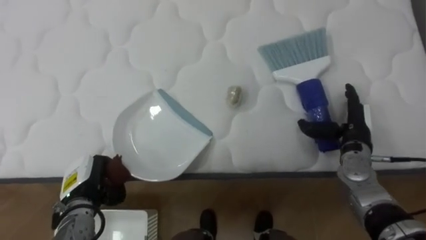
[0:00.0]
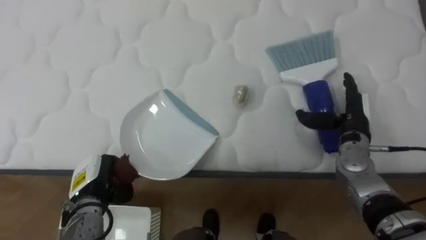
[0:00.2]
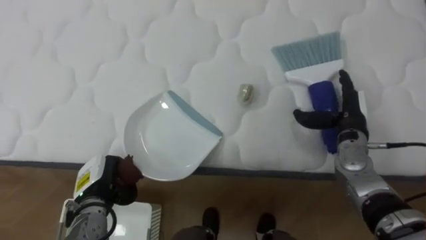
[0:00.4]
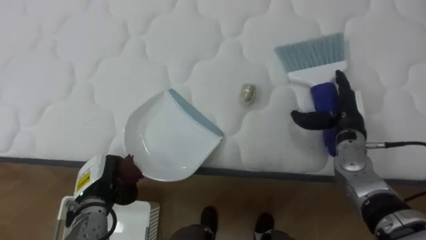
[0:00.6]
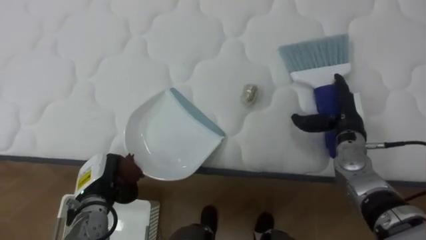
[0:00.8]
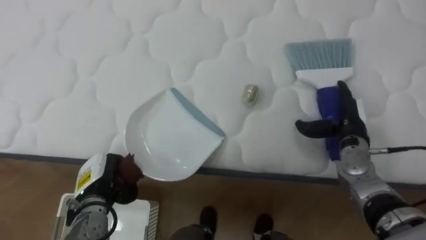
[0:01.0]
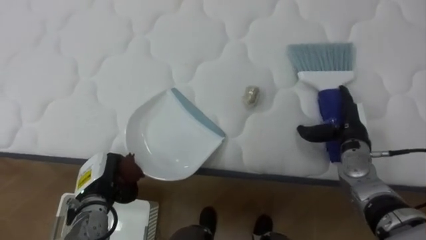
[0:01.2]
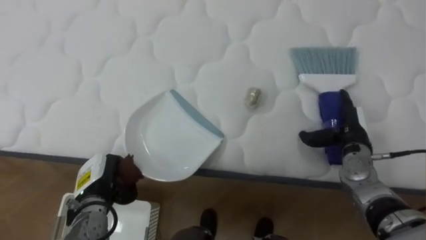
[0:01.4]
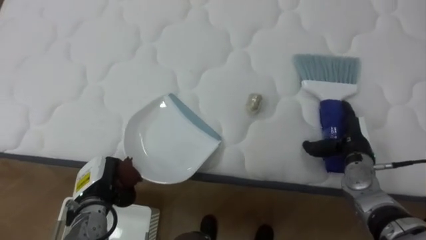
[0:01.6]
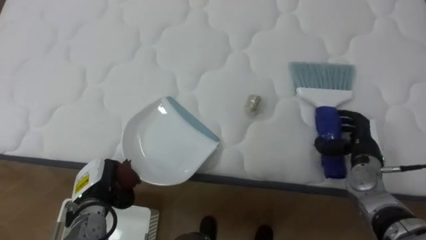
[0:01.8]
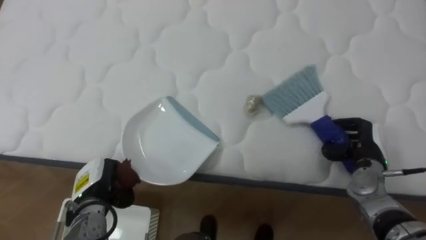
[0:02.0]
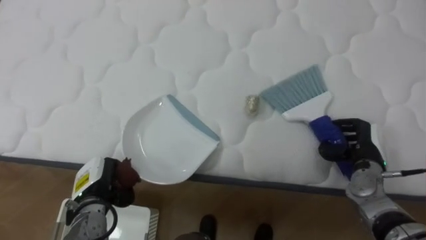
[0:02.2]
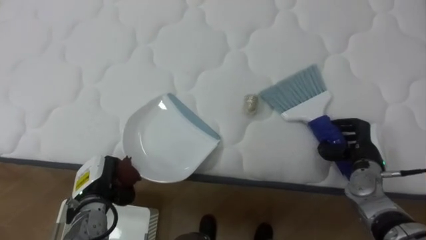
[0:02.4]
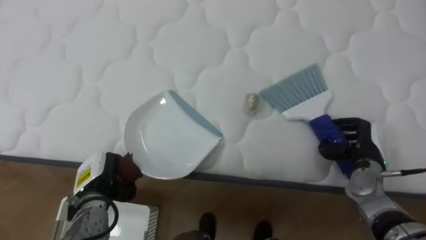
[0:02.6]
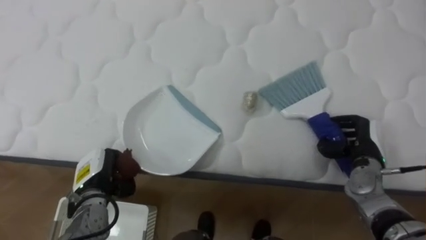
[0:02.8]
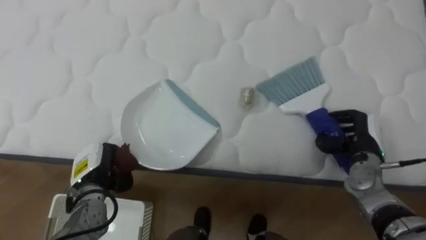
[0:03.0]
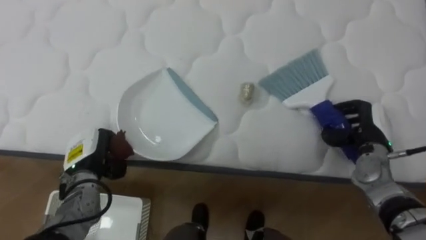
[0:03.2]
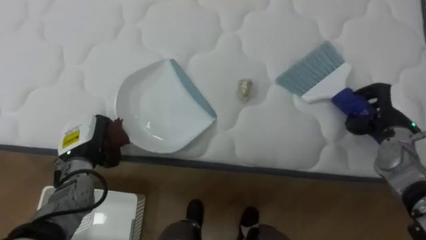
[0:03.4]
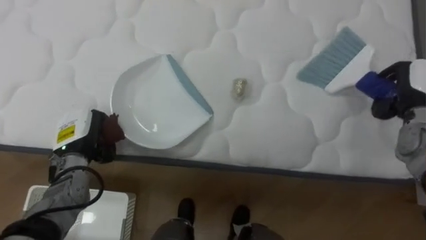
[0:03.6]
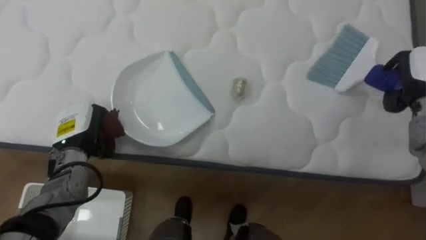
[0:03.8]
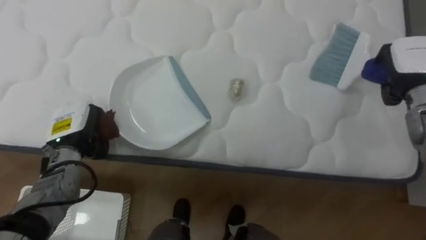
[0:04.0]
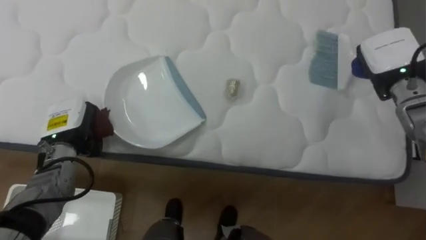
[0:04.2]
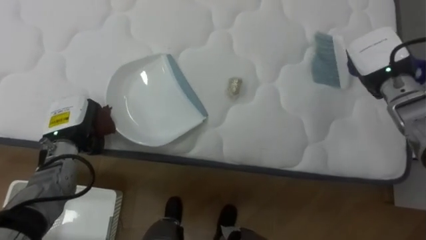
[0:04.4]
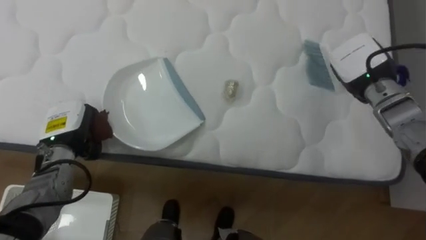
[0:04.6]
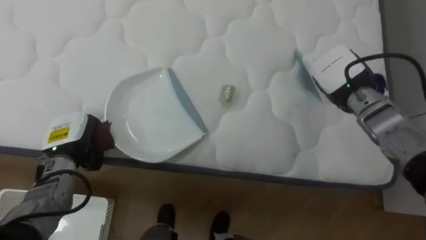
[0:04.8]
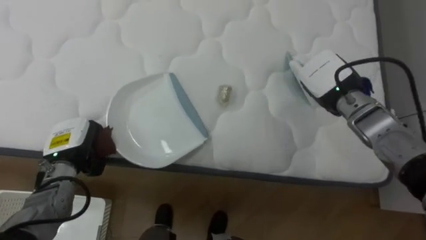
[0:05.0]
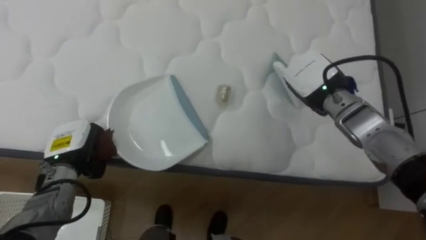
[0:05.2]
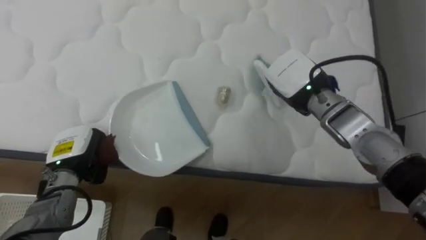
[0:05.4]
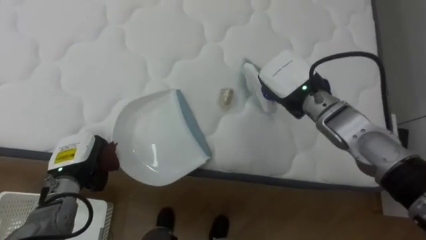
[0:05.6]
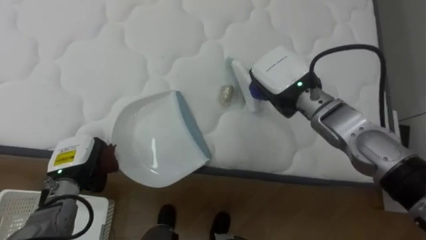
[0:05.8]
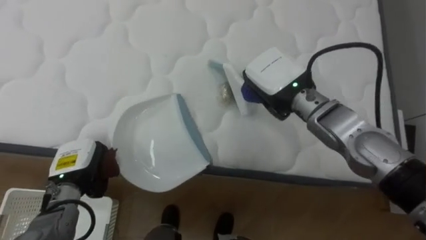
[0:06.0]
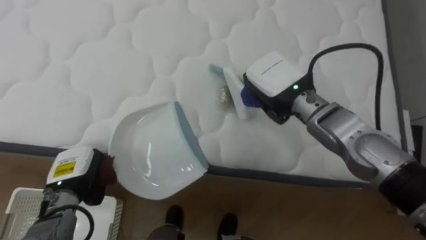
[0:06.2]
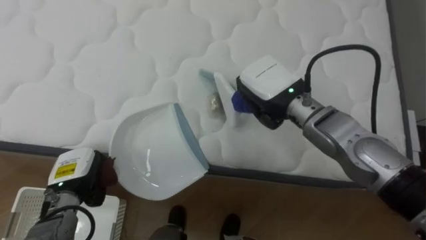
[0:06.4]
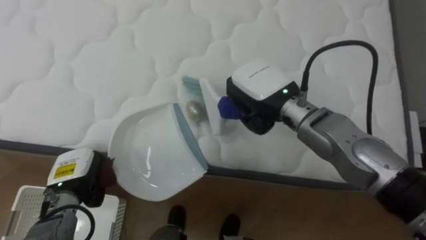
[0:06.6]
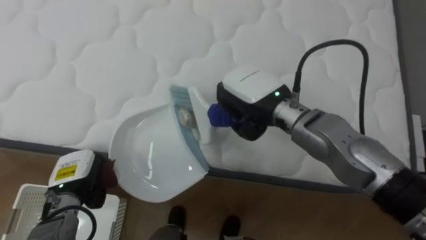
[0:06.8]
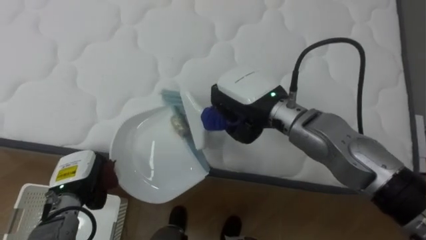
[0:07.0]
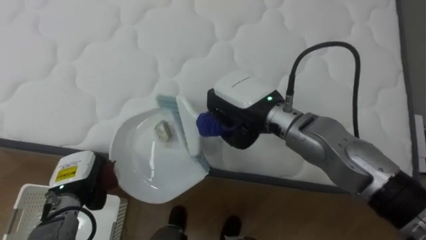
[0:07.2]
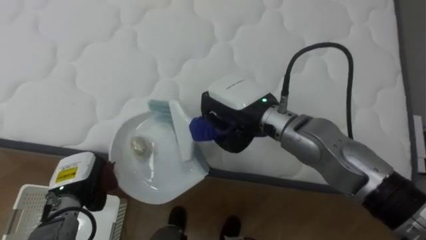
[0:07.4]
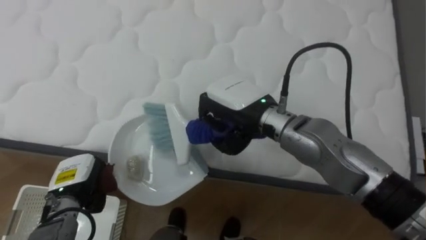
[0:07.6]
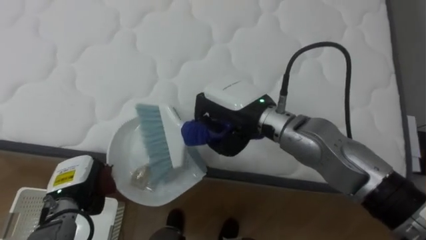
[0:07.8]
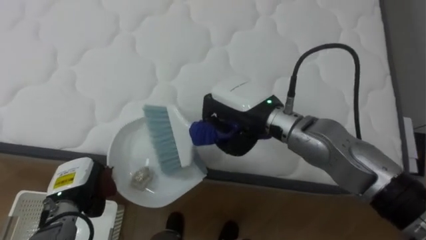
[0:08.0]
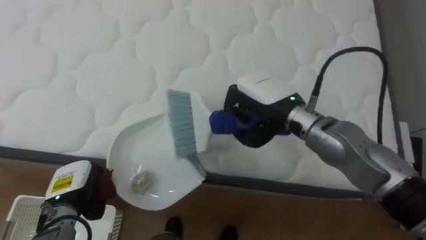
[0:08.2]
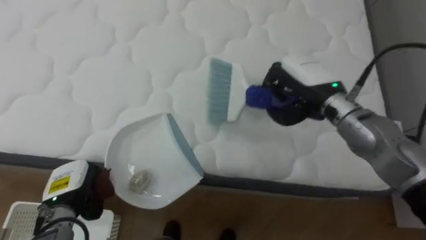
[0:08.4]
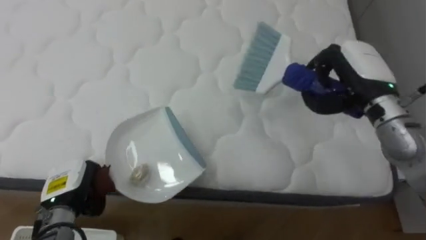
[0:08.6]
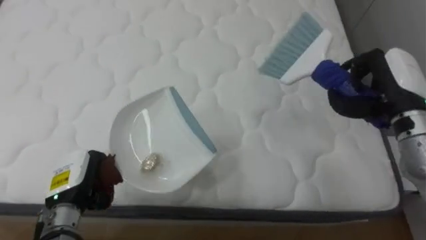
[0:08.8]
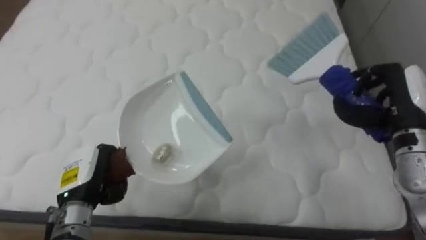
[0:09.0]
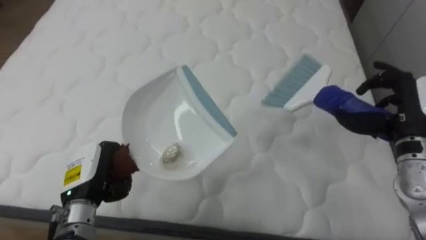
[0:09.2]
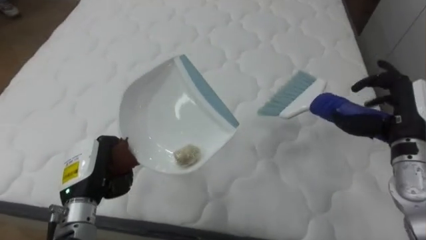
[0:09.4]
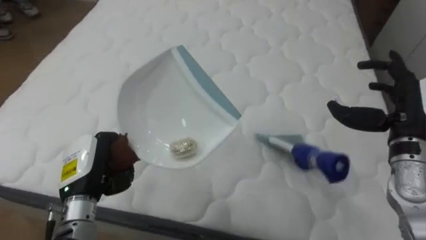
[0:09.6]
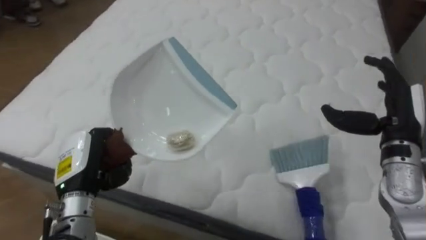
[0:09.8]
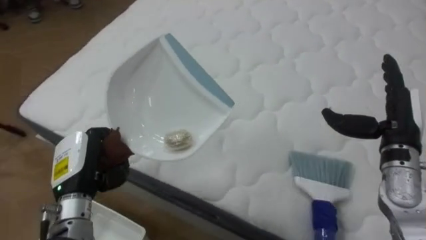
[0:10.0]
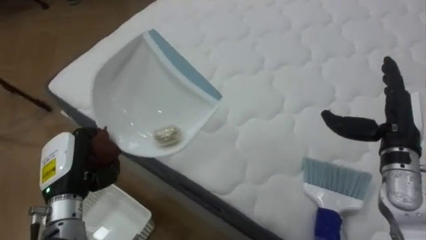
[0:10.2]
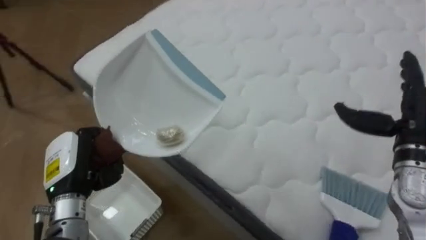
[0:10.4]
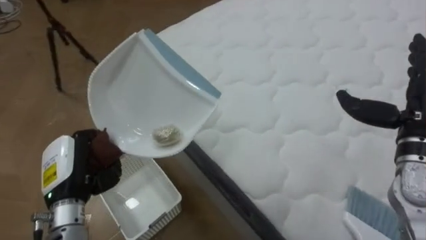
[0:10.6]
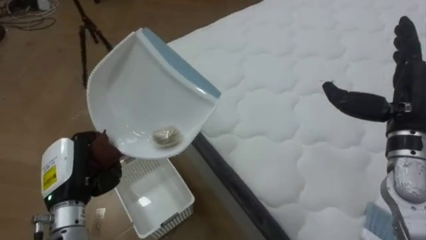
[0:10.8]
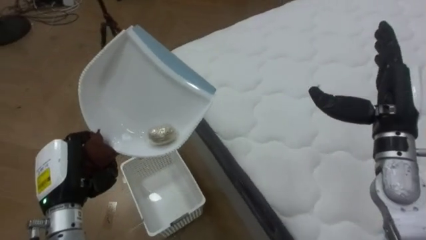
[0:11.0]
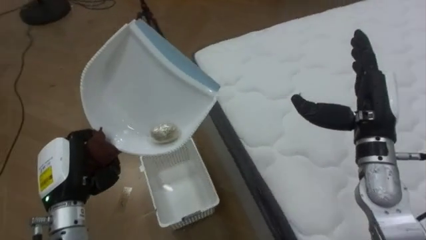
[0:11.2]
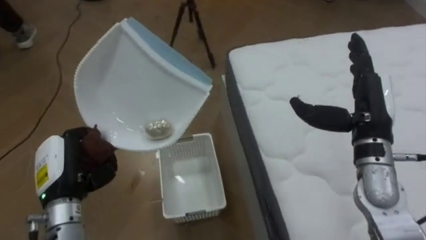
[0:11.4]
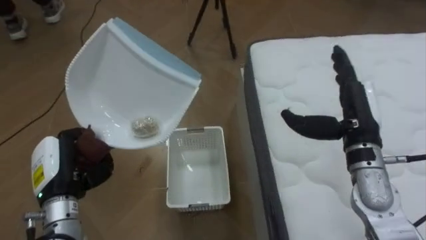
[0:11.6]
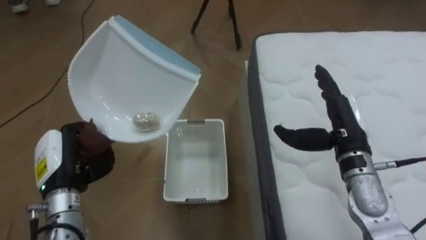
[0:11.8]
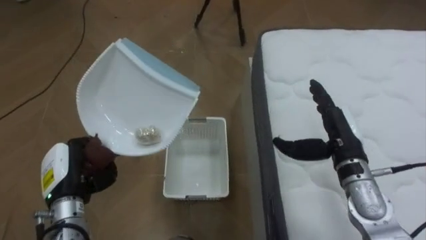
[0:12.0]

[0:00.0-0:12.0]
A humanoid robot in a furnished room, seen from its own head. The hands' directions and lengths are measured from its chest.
Task of the whole recording: Pick up the brush on your right and the dustpan on your left. Use the brush to sweep the crumpled paper on the bed into the dustpan, then turn left and empty it into the basket.
0:01.6 to 0:03.0: The right hand closes its fingers.
0:03.0 to 0:04.4: The left hand travels upward and forward by about 10 cm. Meanwhile the right hand shifts some 15 cm upward and forward.
0:04.4 to 0:06.0: The left hand shifts about 10 cm backward and downward. Meanwhile the right hand travels to the left by approximately 20 cm.
0:06.0 to 0:07.6: The right hand goes approximately 5 cm to the left.
0:07.6 to 0:09.0: The right hand travels to the right by roughly 30 cm, while the left hand moves upward, approximately 5 cm.
0:09.0 to 0:10.4: The robot rotates roughly 35 degrees to its left. The right hand opens up.
0:10.4 to 0:12.0: The robot rotates approximately 45 degrees to its left. The right hand heads to the left, covering roughly 10 cm.

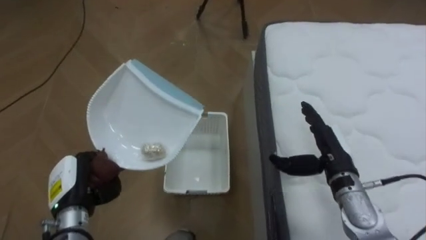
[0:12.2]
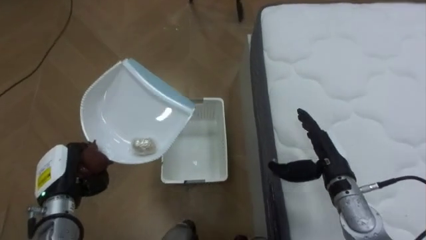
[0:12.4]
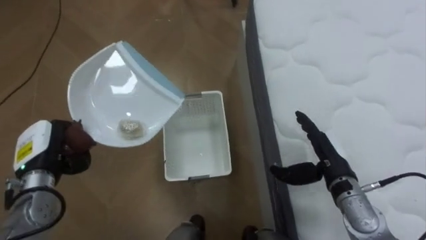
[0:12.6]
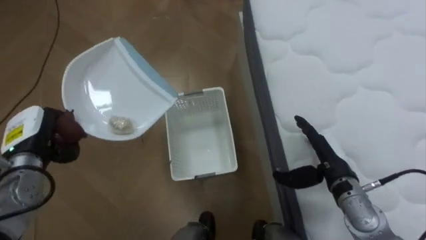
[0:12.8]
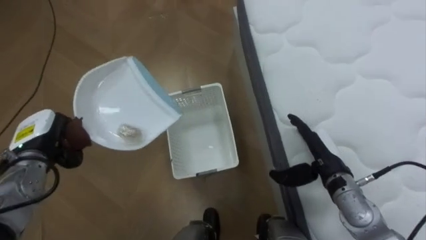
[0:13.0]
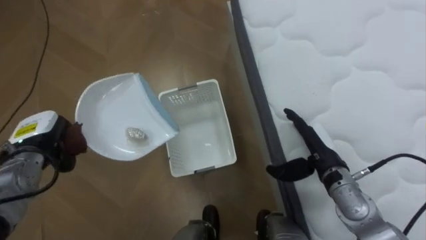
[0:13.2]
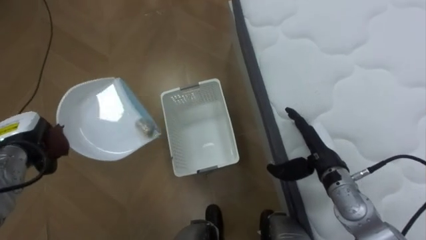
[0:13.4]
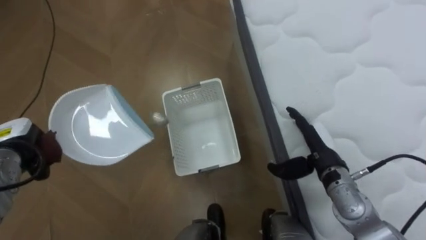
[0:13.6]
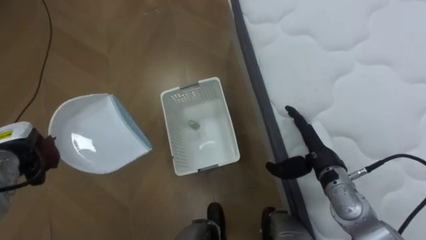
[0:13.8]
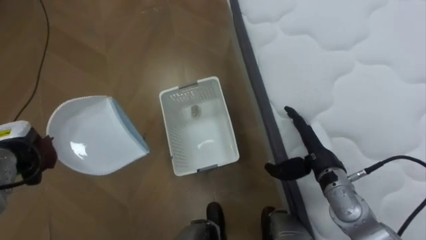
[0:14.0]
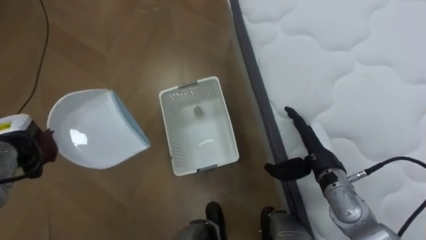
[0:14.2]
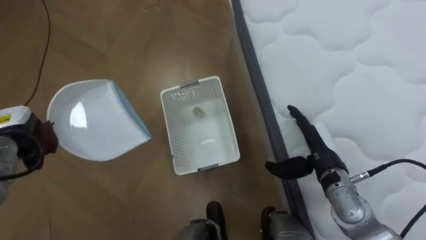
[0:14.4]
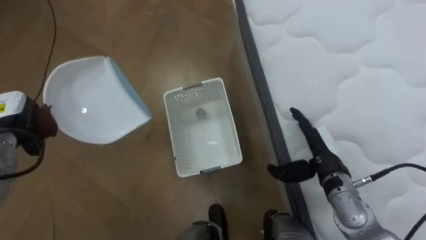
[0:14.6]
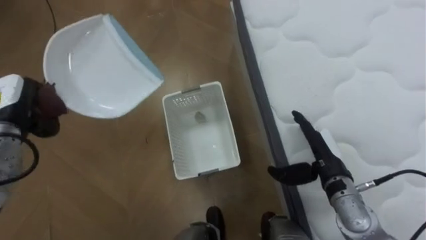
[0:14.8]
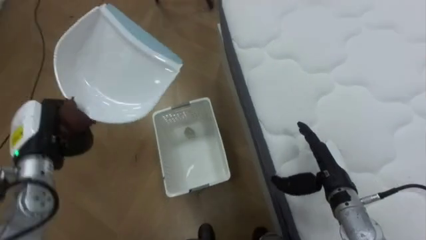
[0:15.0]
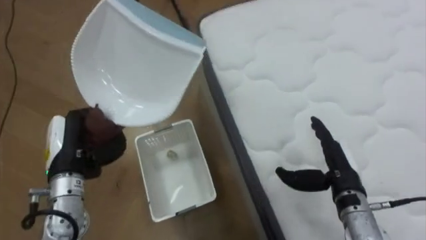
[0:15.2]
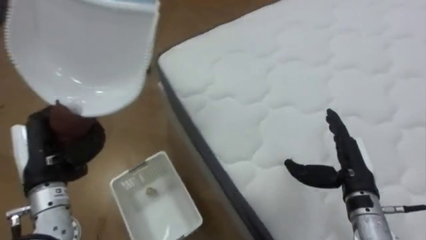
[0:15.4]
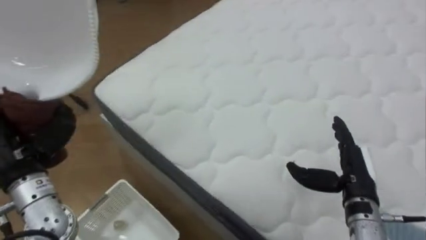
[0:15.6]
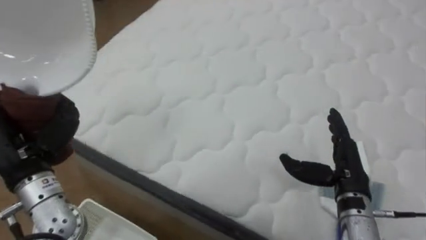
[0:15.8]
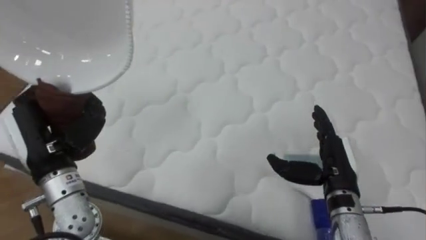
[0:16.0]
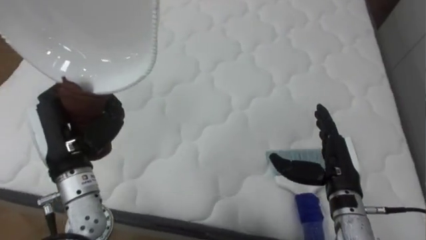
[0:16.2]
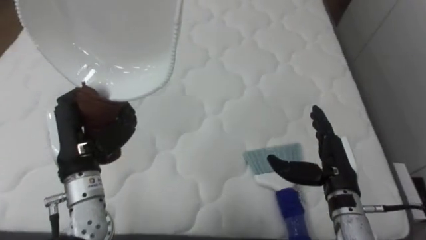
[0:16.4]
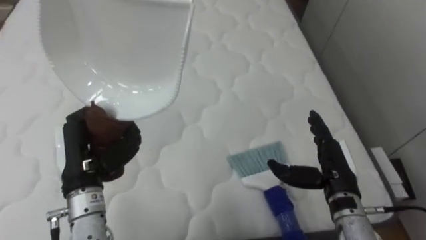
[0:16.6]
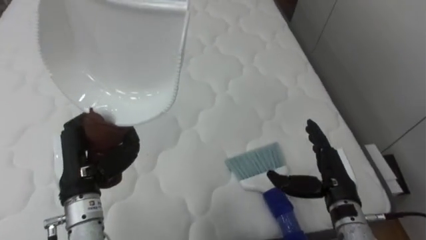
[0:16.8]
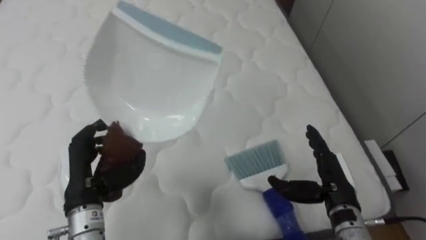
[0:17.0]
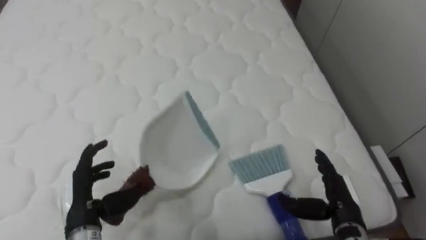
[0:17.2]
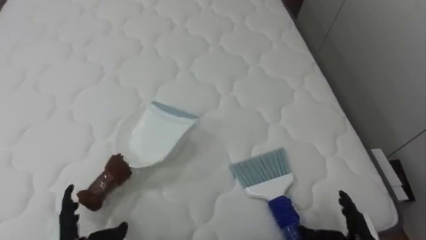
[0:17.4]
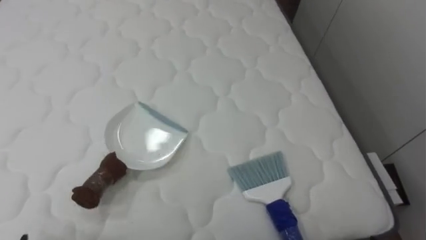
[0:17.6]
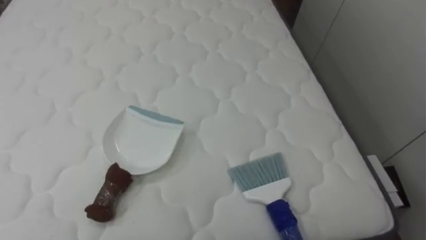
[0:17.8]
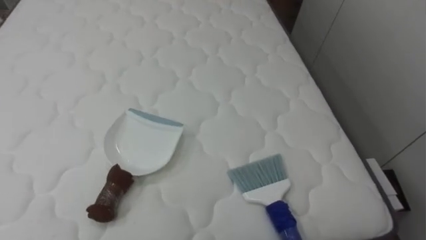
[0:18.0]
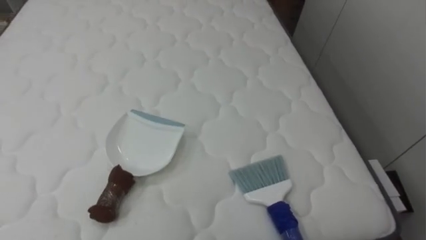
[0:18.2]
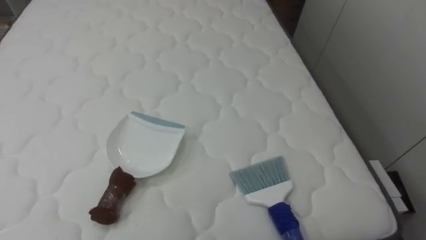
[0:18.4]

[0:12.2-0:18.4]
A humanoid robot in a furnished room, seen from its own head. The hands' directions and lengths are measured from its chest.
Task of the whole recording: Pick up the brush on your right and the dustpan on your left. Use the brush to sweep the crumpled paper on the bed into the dustpan, then turn left and empty it into the basket.
0:12.2 to 0:13.8: The left hand goes approximately 15 cm to the left and forward.
0:13.8 to 0:15.4: The left hand goes some 15 cm to the right, backward and upward; the right hand moves about 5 cm.
0:15.4 to 0:16.8: The robot faces roughly 65 degrees further to its right. The left hand changes place by about 5 cm.
